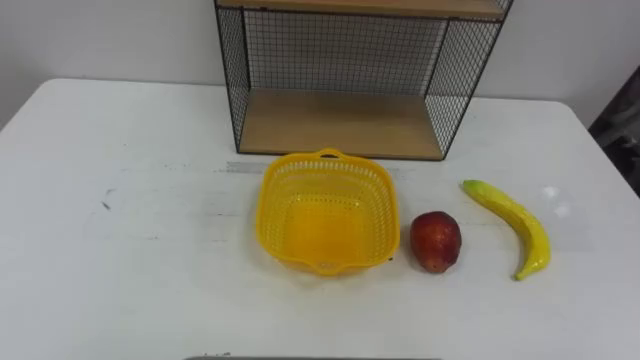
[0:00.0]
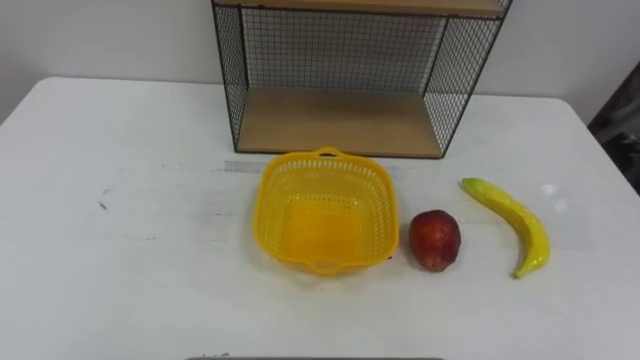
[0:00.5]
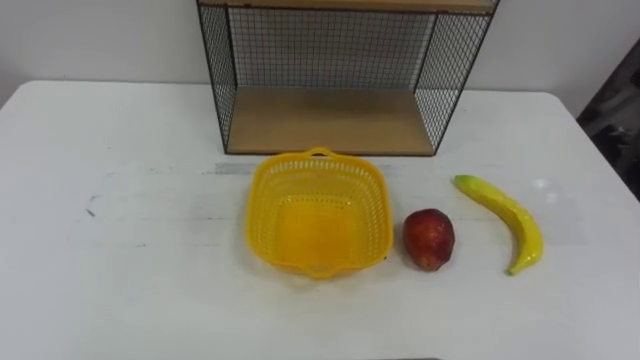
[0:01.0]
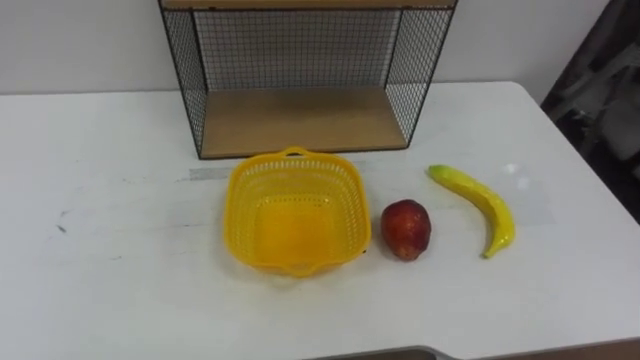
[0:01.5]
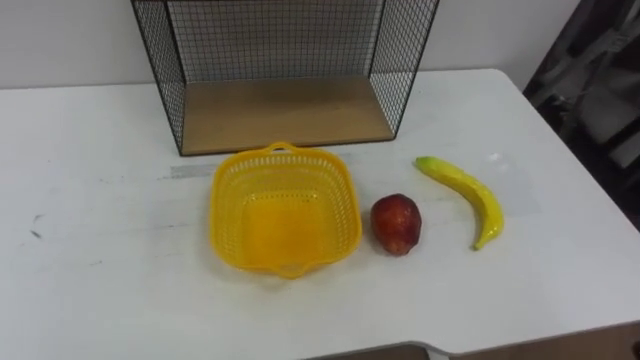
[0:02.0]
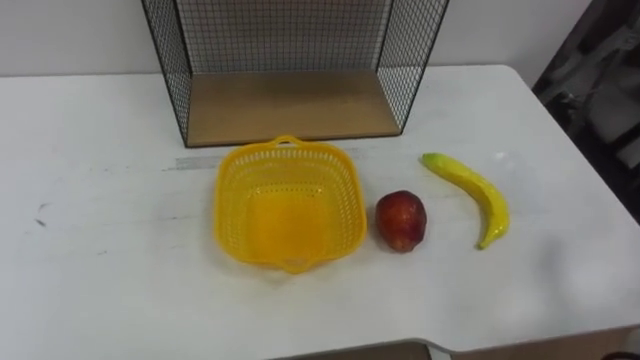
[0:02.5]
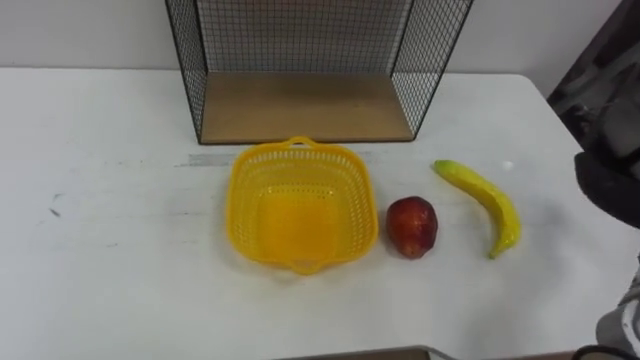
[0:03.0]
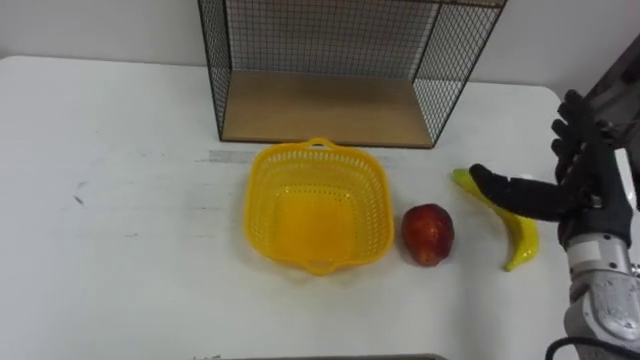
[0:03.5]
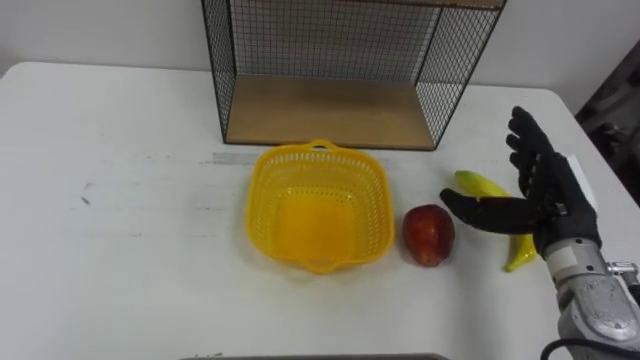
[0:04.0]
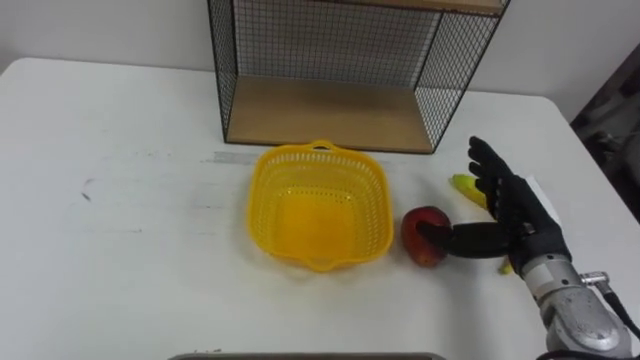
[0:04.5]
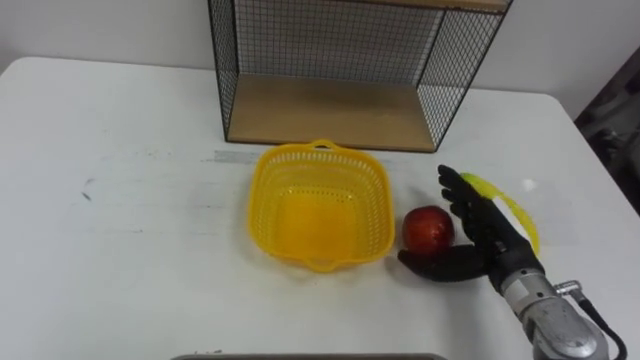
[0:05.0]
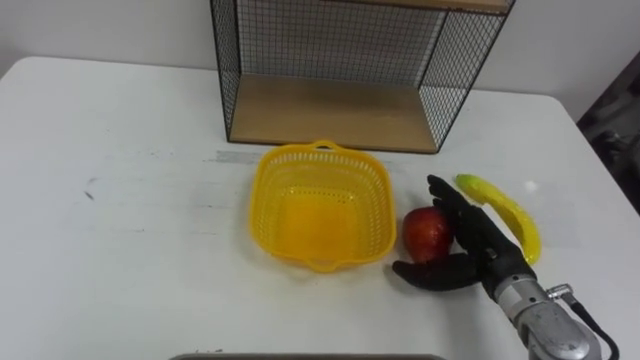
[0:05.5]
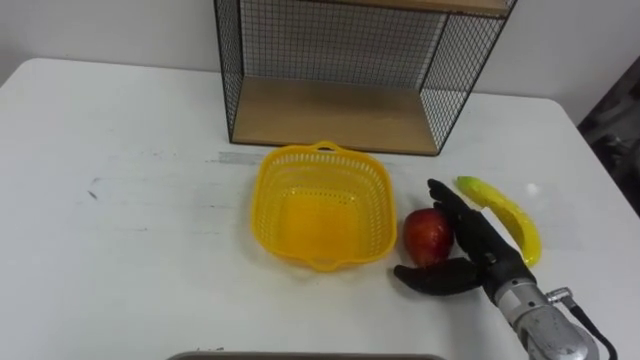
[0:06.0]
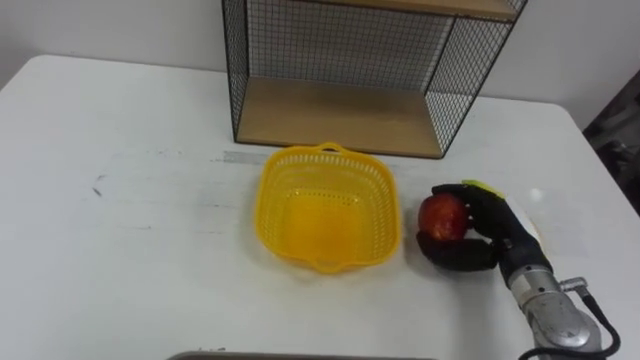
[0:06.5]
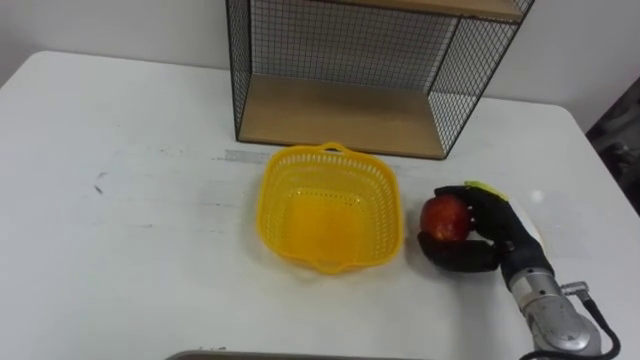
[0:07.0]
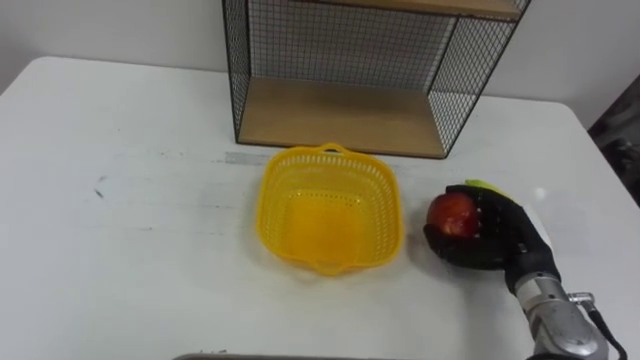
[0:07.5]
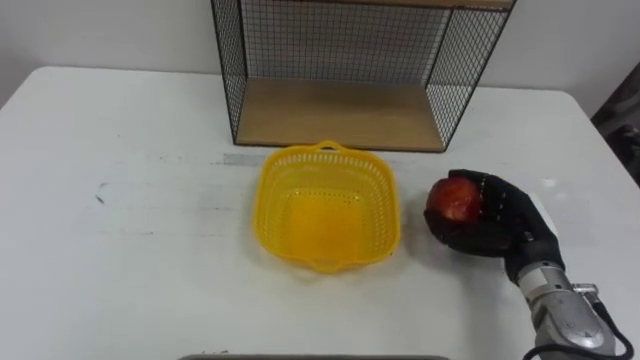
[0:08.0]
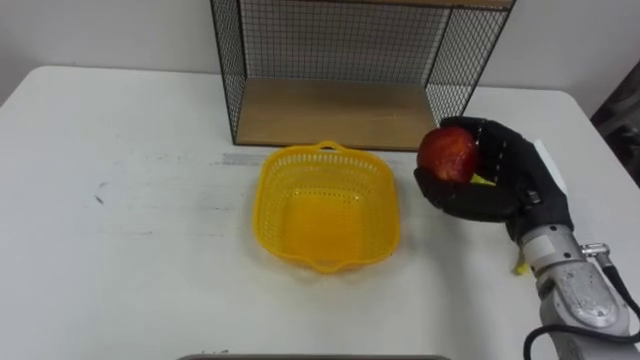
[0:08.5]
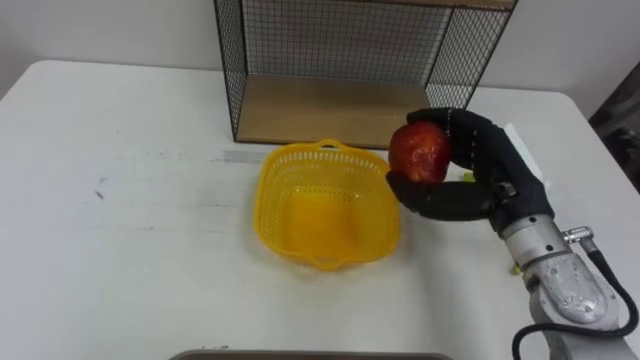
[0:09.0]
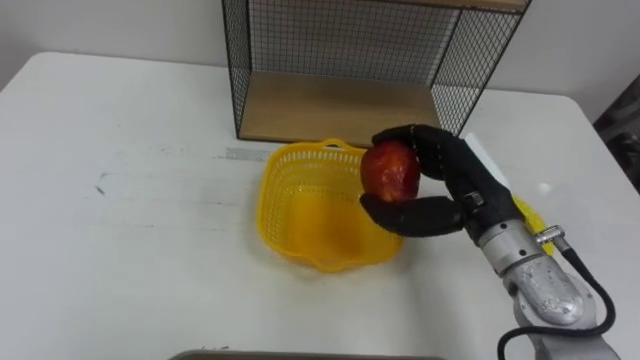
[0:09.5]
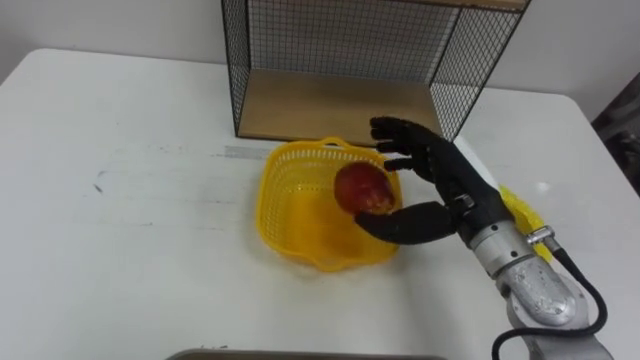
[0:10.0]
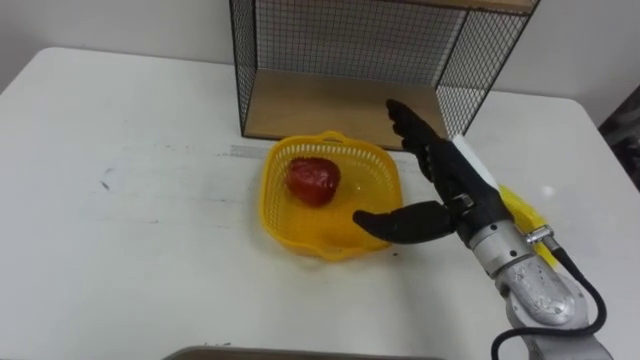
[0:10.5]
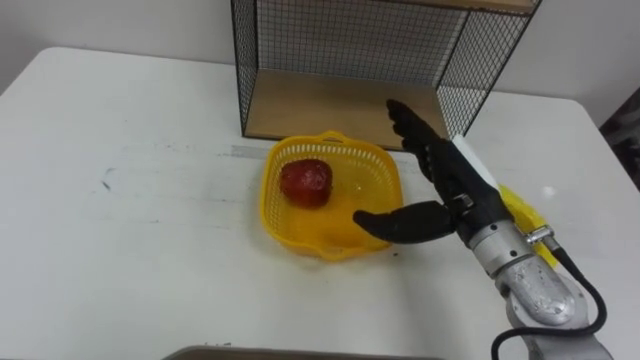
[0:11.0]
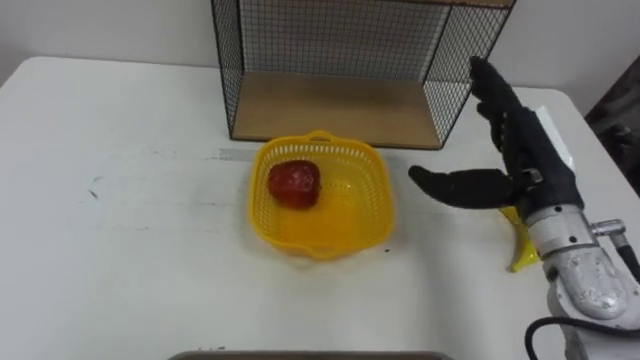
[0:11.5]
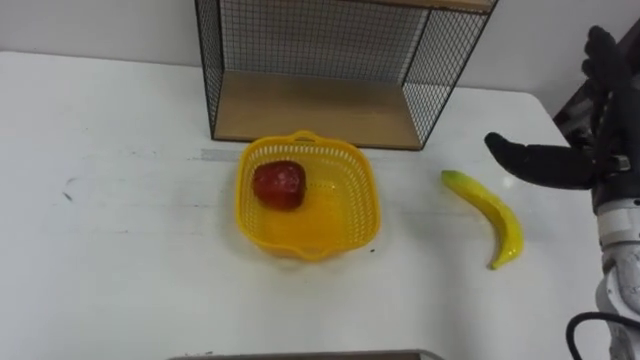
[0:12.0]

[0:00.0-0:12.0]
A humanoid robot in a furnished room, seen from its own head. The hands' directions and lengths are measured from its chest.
Task of the whole recording: Put the fruit on the table into the basket, then place the basket on the shelf.
0:04.0 to 0:06.0: The right hand heads downward and to the left, covering about 10 cm.
0:06.0 to 0:08.0: The right hand closes.
0:08.0 to 0:10.0: The right hand moves to the left and upward, some 15 cm, and opens up.
0:10.0 to 0:12.0: The right hand heads to the right and upward, covering some 15 cm.

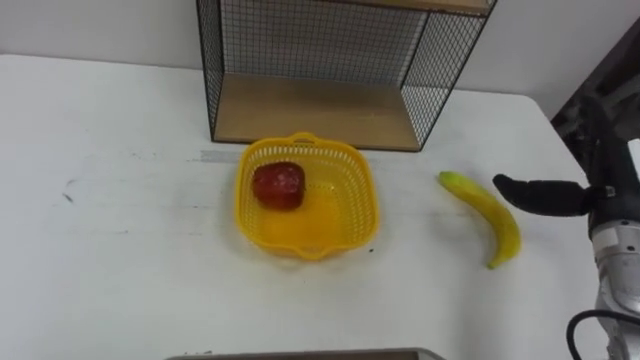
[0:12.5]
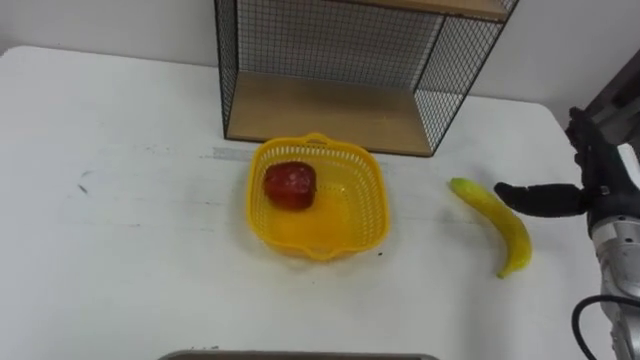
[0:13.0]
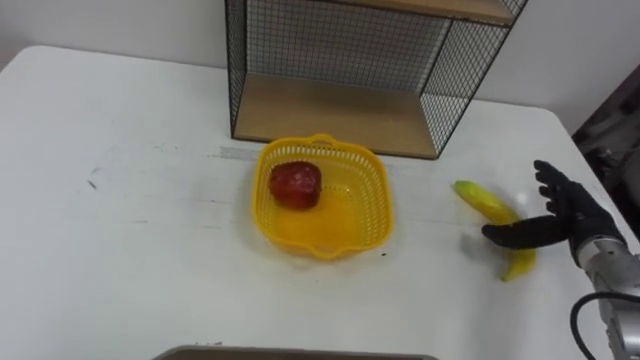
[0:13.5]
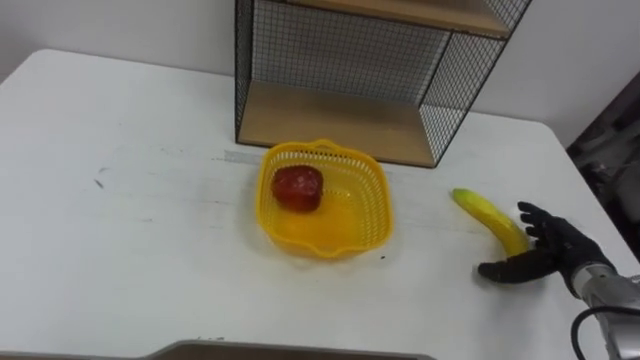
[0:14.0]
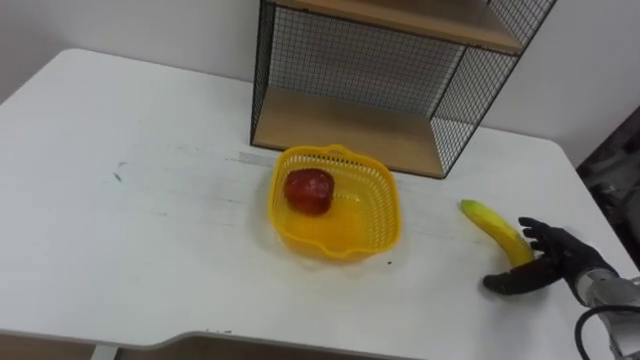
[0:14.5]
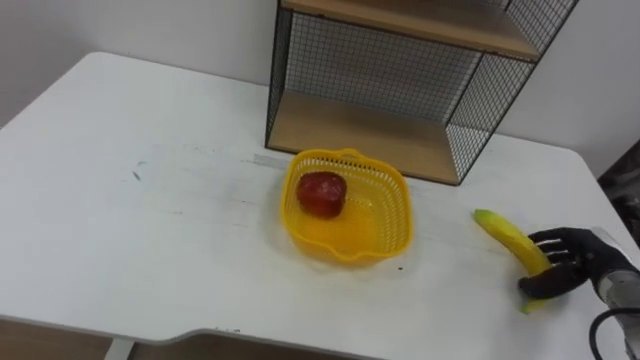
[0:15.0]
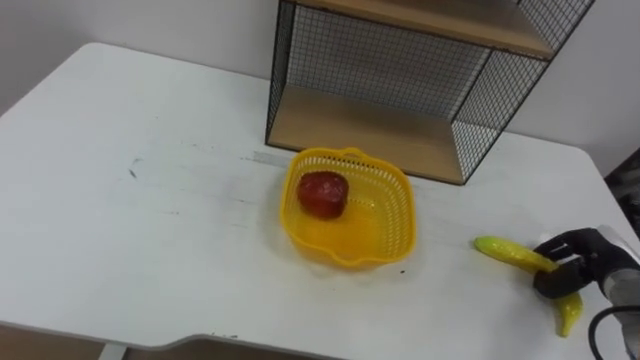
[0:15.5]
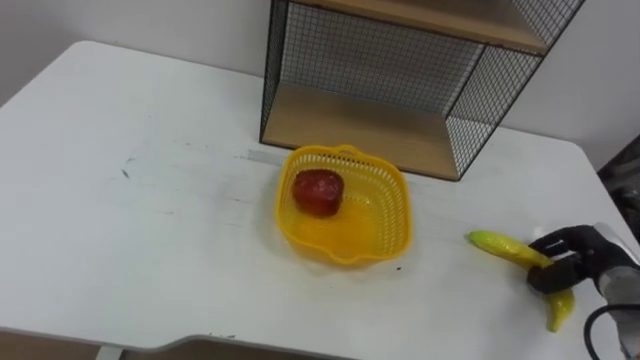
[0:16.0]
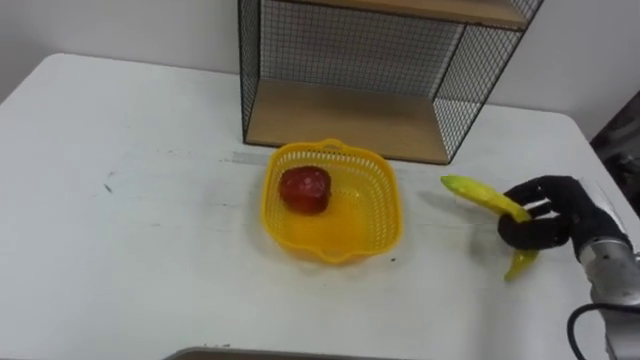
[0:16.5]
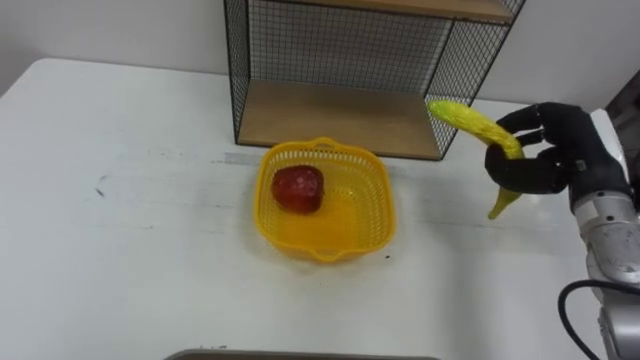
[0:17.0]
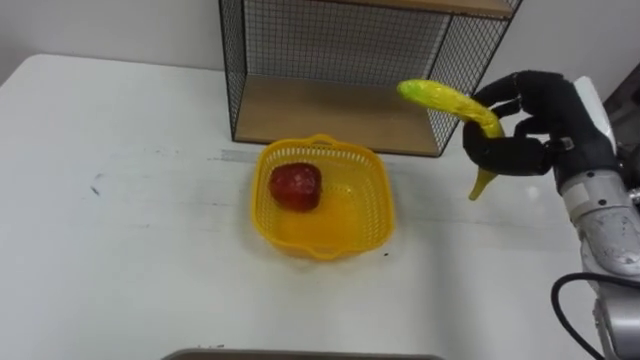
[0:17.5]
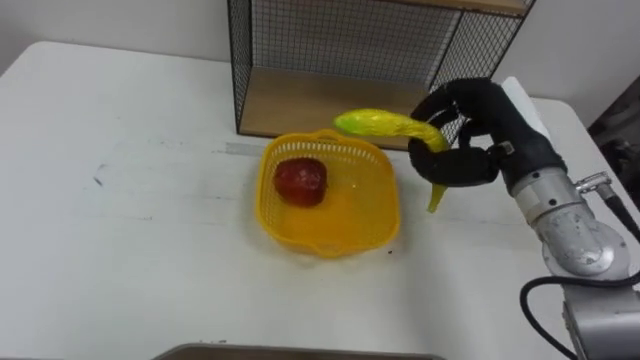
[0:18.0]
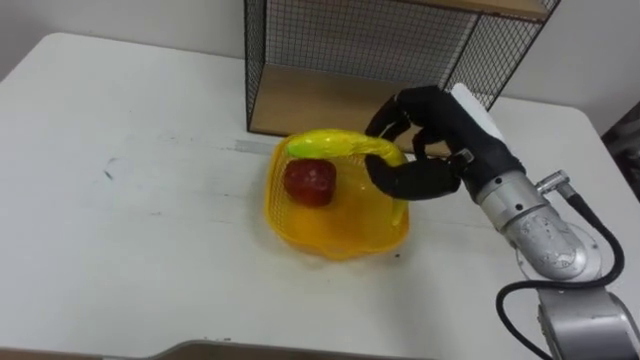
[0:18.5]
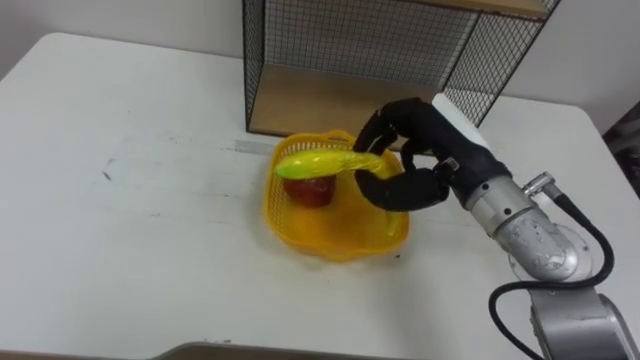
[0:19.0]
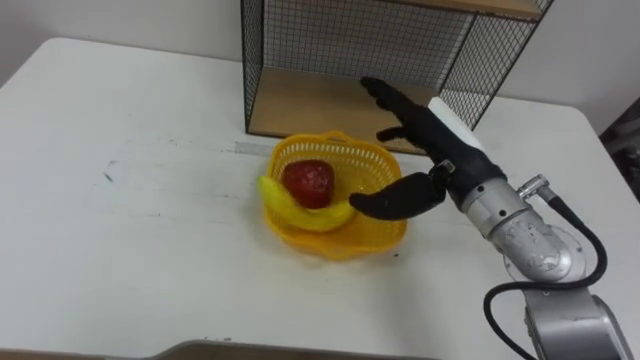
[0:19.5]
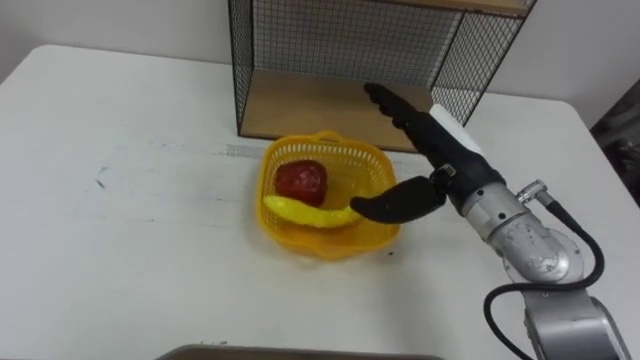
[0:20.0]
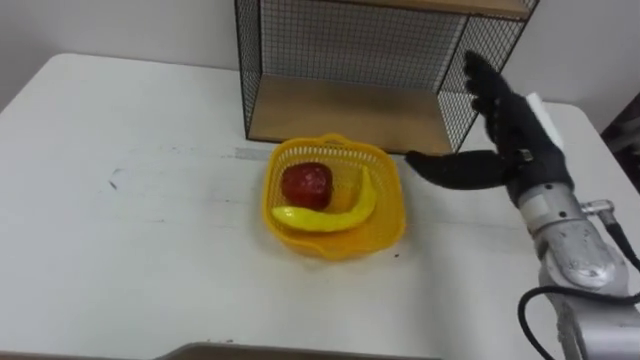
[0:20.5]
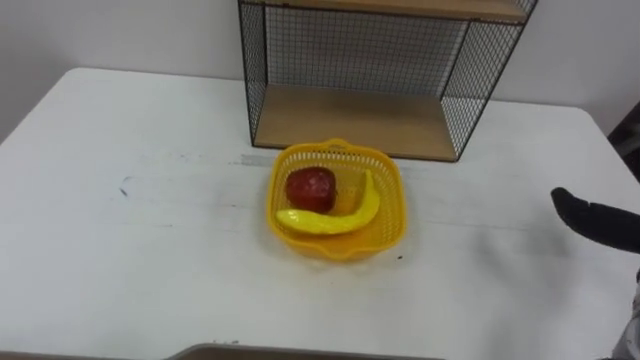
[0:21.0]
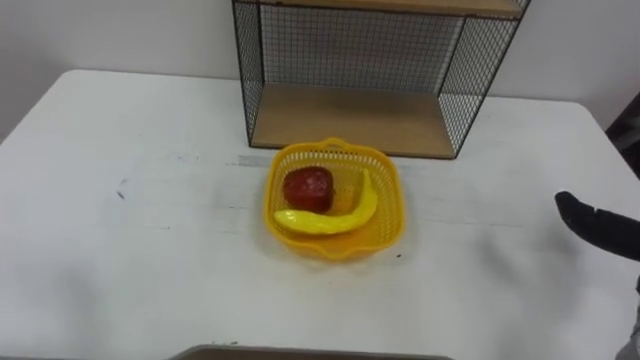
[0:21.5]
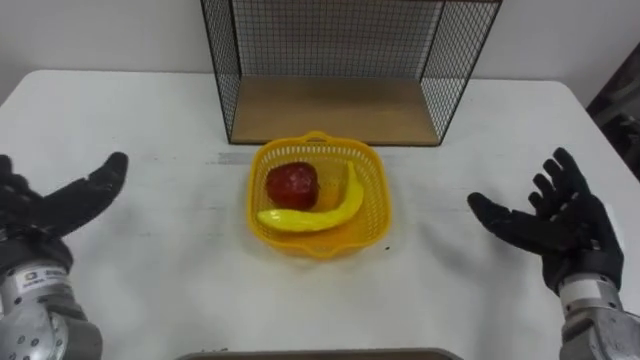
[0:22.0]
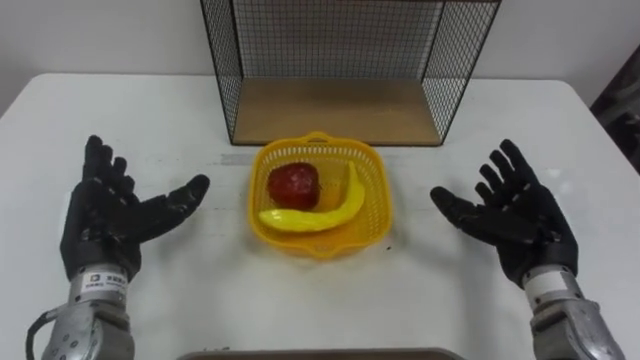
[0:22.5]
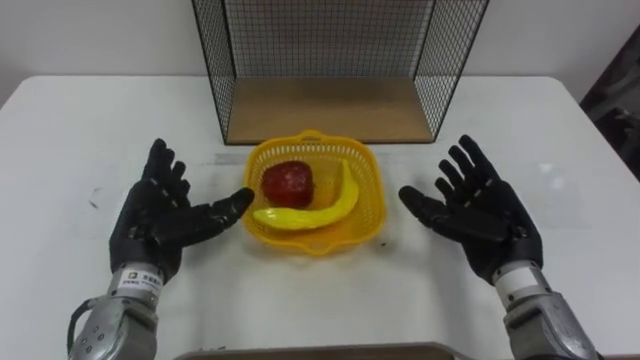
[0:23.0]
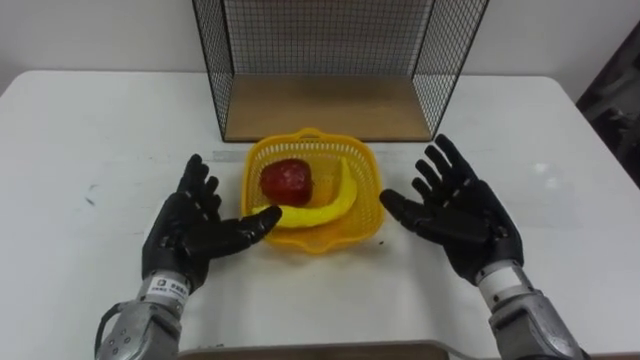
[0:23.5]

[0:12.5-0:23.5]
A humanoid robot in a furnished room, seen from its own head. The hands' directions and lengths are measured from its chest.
Task of the whole recording: Put the fruit on the table into the basket, then place the basket on the shelf.
0:12.5 to 0:14.5: The right hand heads downward, covering roughly 15 cm.
0:14.5 to 0:16.0: The right hand closes up.
0:16.0 to 0:18.0: The right hand shifts about 25 cm upward and to the left.
0:18.0 to 0:20.0: The right hand heads to the left, covering roughly 5 cm, and opens up.
